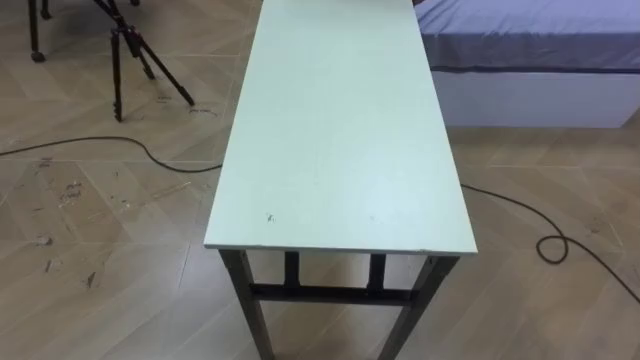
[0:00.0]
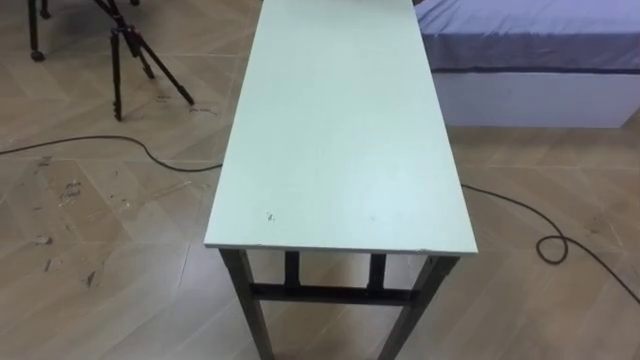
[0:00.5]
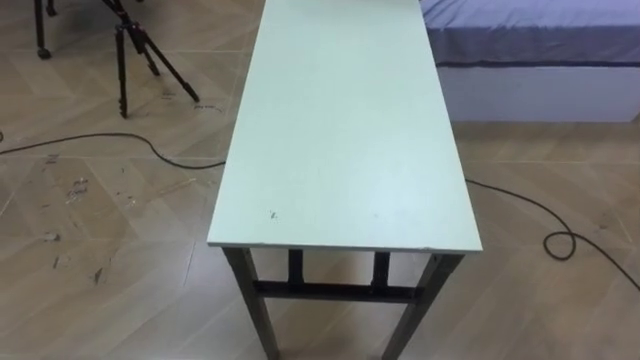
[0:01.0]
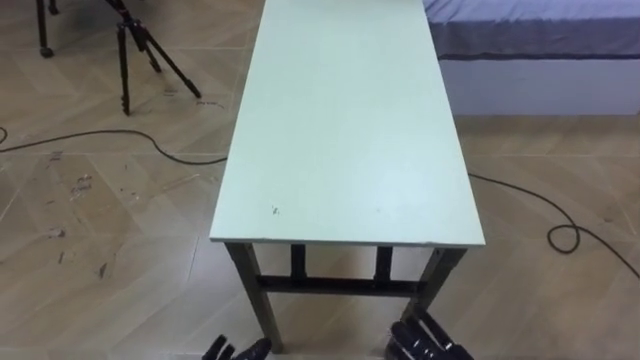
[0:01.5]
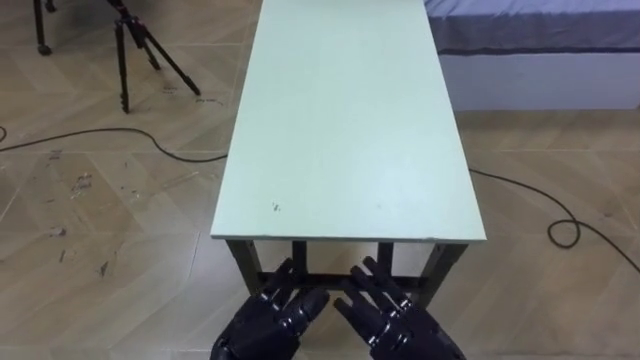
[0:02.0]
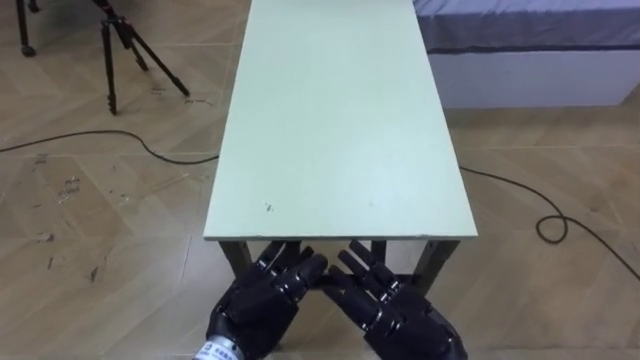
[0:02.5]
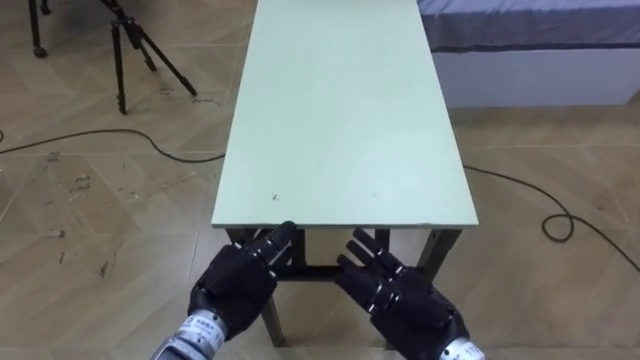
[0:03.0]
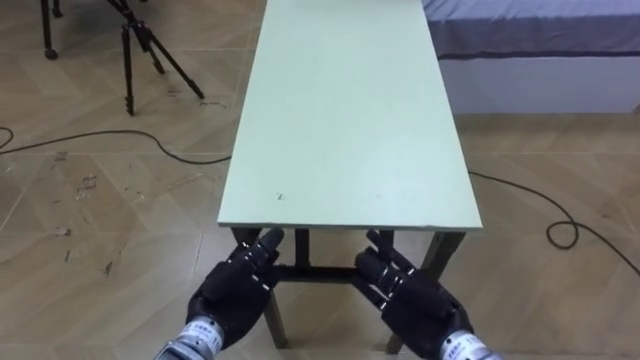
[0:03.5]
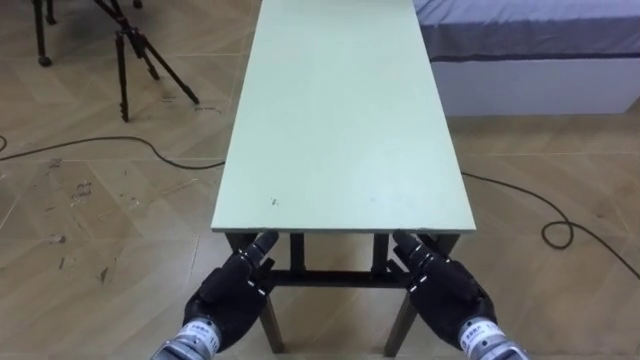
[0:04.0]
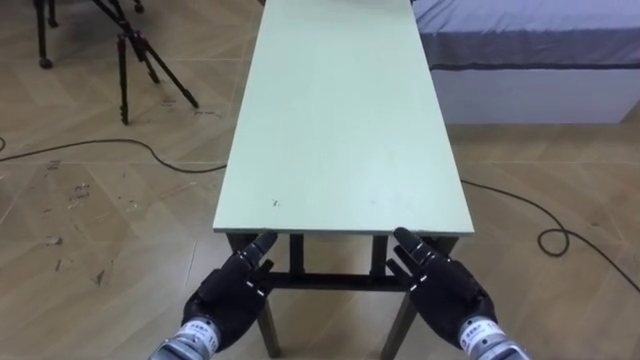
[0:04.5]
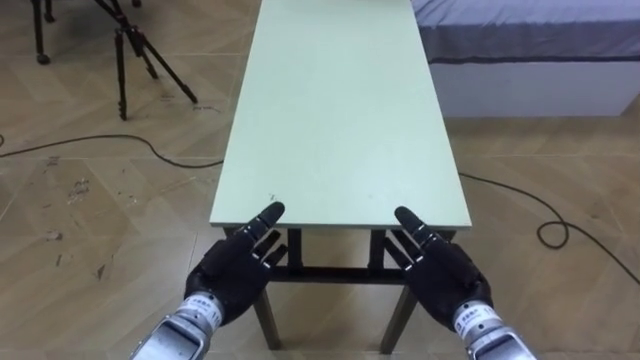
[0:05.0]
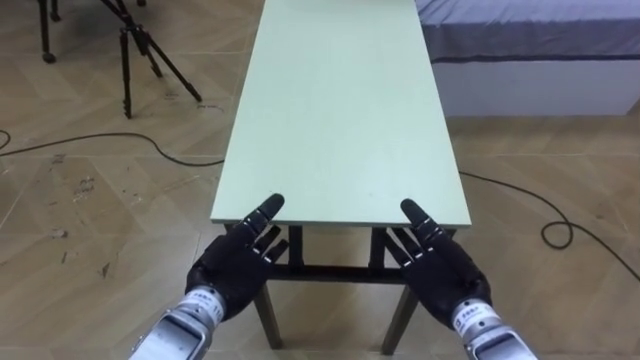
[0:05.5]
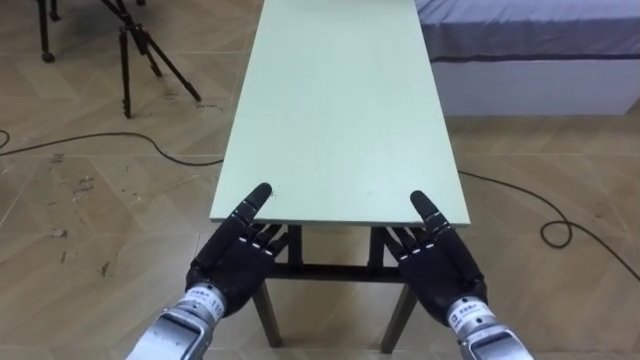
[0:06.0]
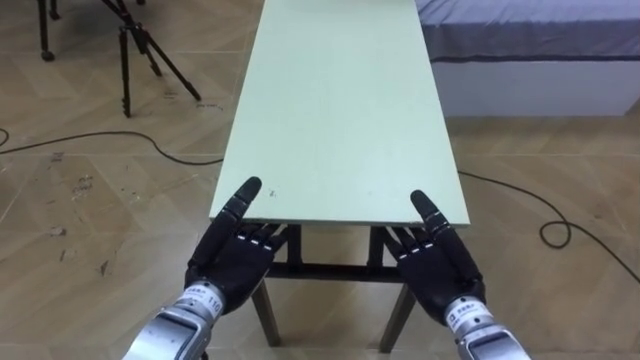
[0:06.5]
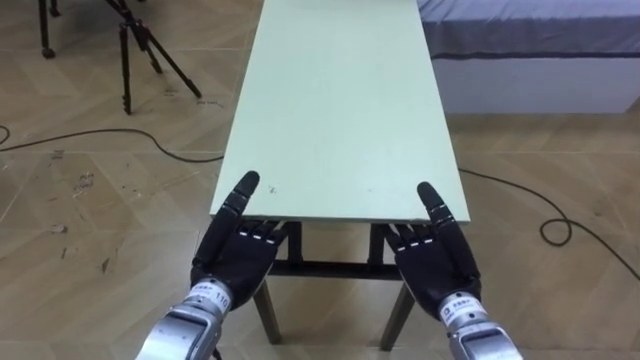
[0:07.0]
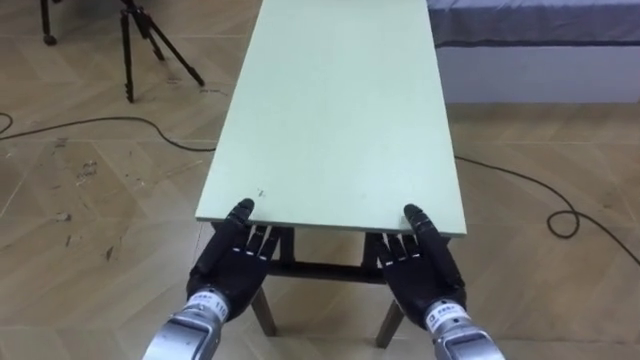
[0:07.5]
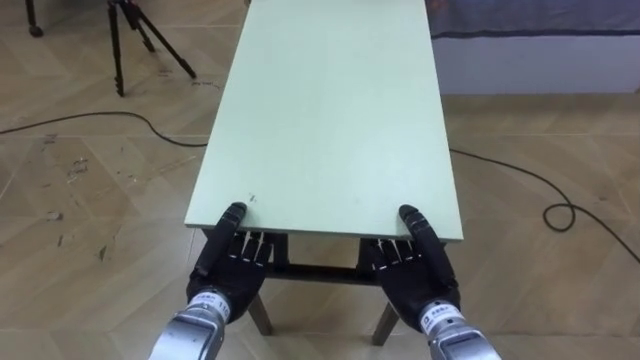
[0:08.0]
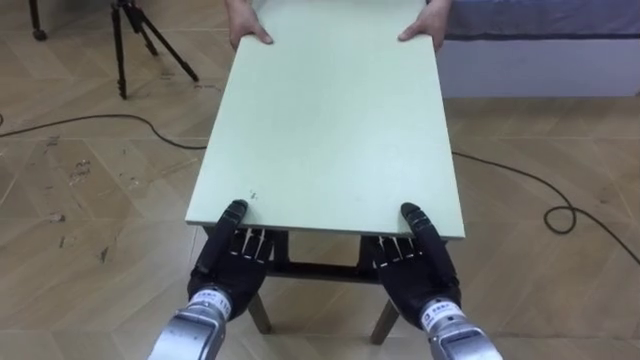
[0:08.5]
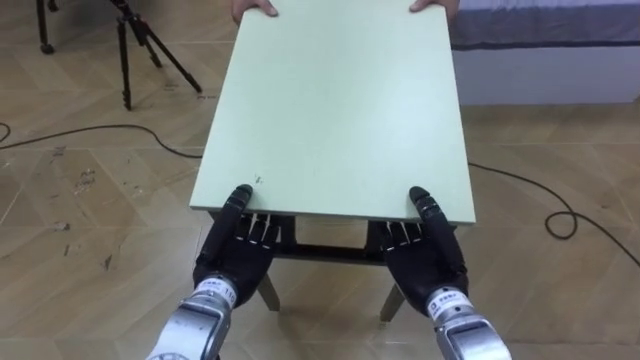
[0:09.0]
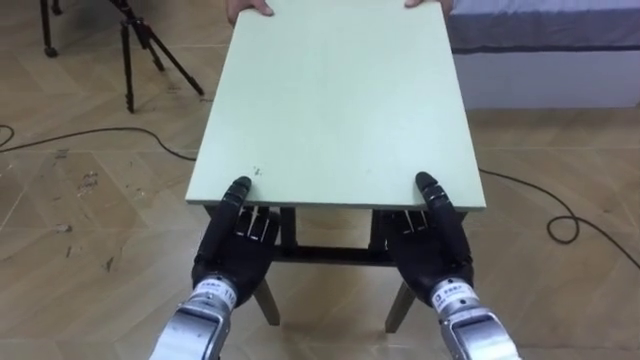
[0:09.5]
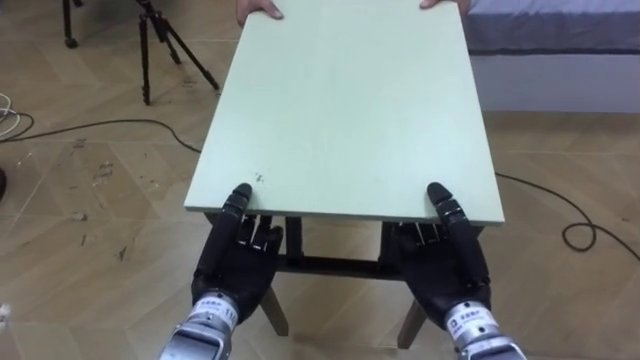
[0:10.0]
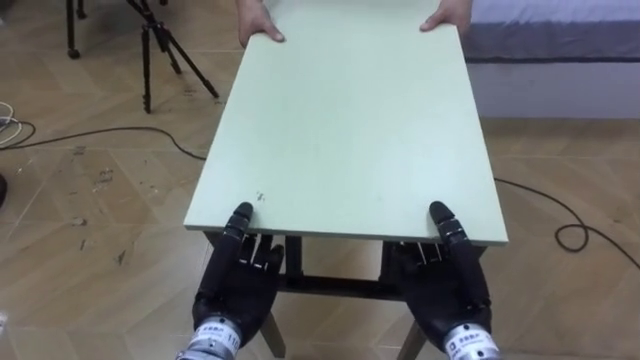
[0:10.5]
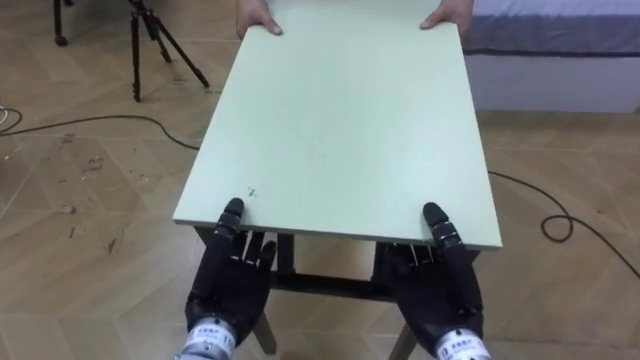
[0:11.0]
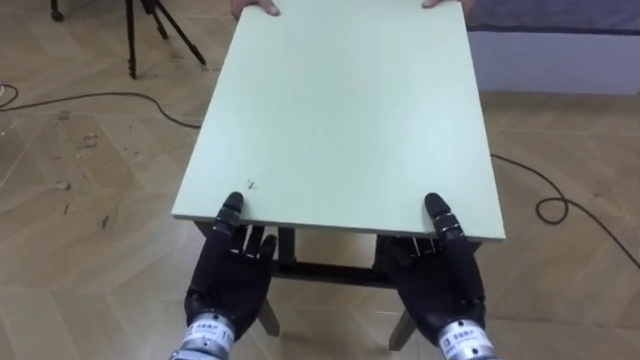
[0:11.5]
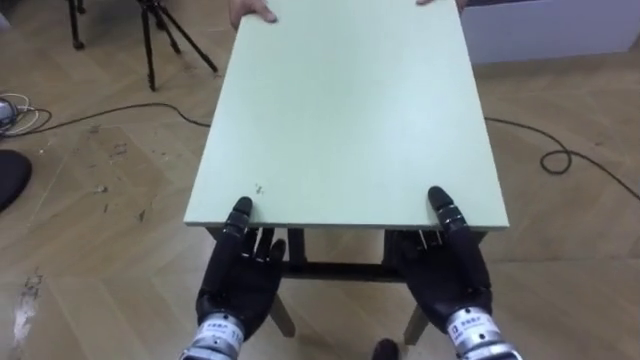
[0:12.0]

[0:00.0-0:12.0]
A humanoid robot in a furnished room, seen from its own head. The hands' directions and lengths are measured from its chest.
Task of the whole recording: Move the table to the back left with someone.
0:02.0 to 0:04.0: The right hand is displaced forward and to the right by approximately 10 cm. Meanwhile the left hand is displaced forward by about 5 cm.
0:04.0 to 0:06.0: The left hand moves upward, some 5 cm.
0:06.0 to 0:08.0: The right hand closes its fingers, while the left hand closes.
0:08.0 to 0:10.0: The right hand moves upward, roughly 5 cm.

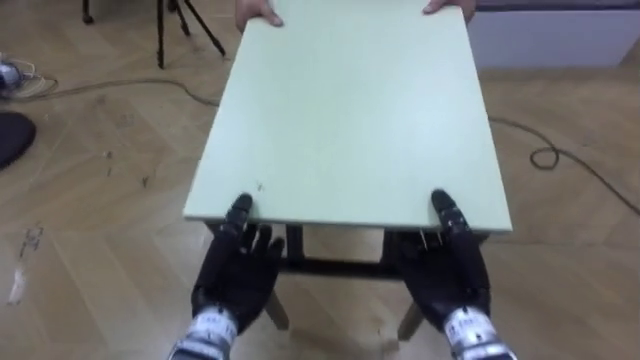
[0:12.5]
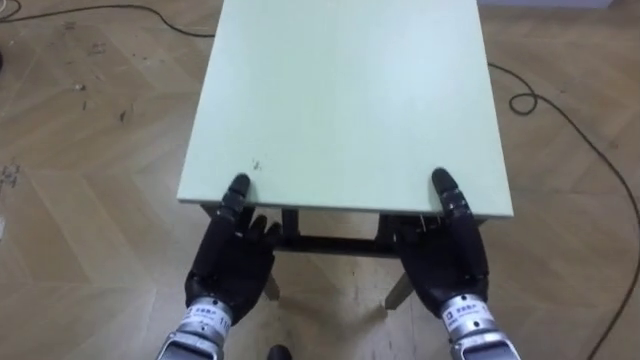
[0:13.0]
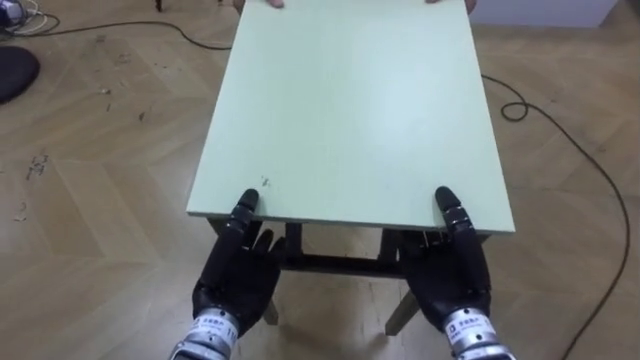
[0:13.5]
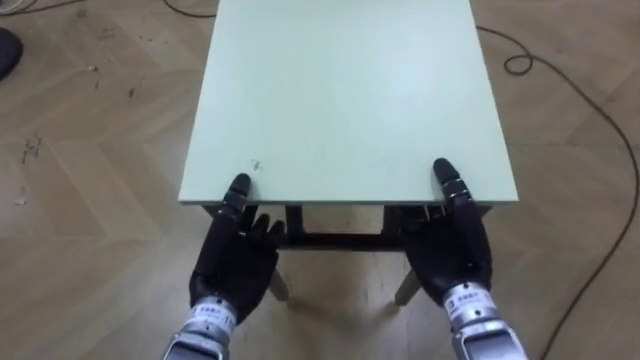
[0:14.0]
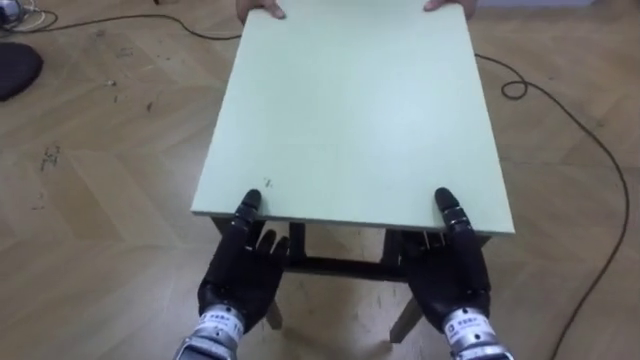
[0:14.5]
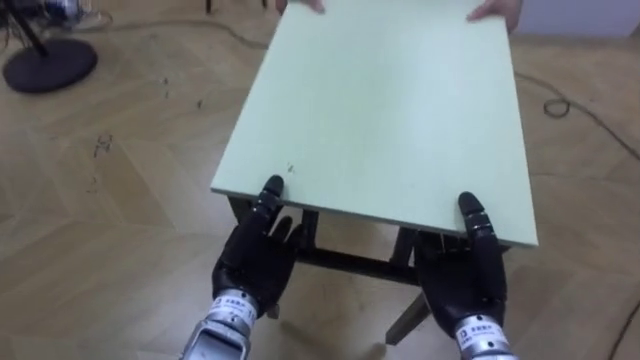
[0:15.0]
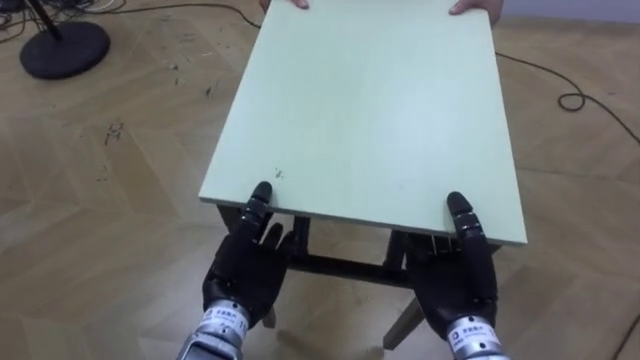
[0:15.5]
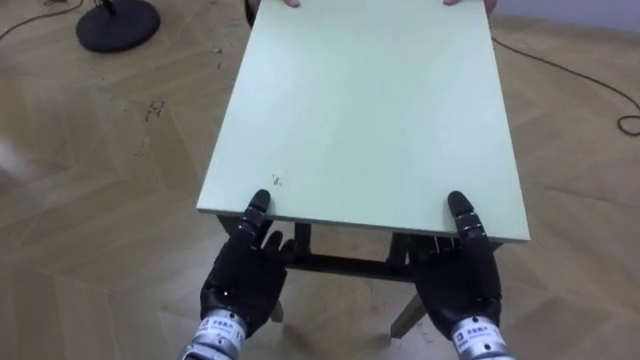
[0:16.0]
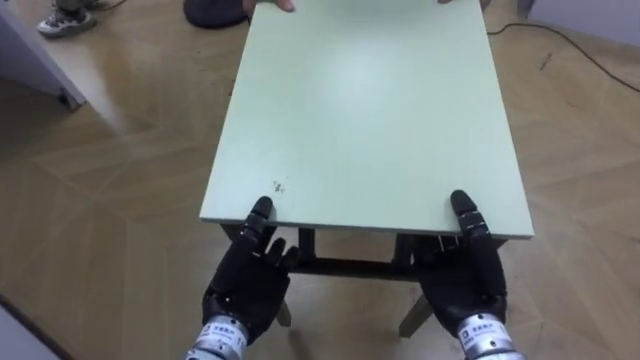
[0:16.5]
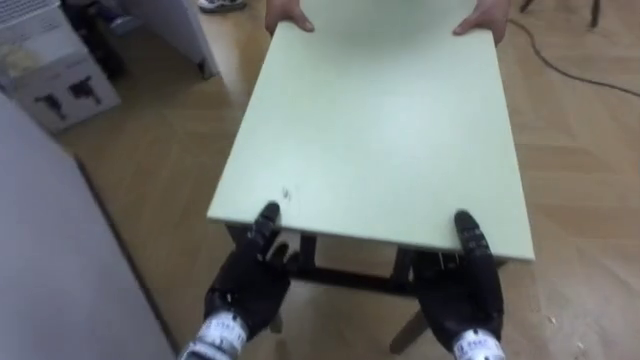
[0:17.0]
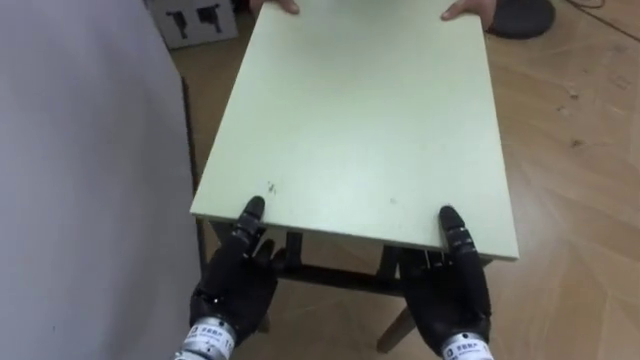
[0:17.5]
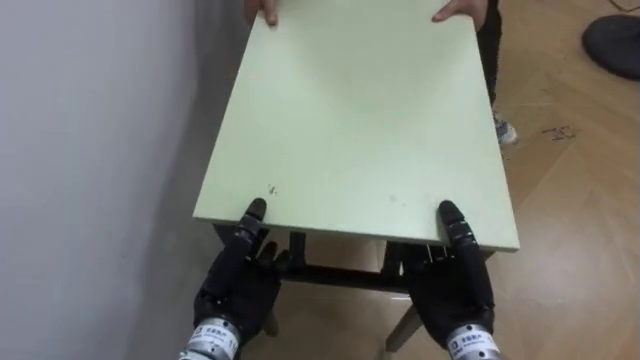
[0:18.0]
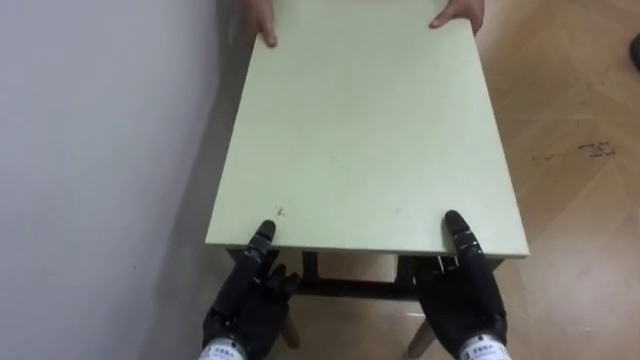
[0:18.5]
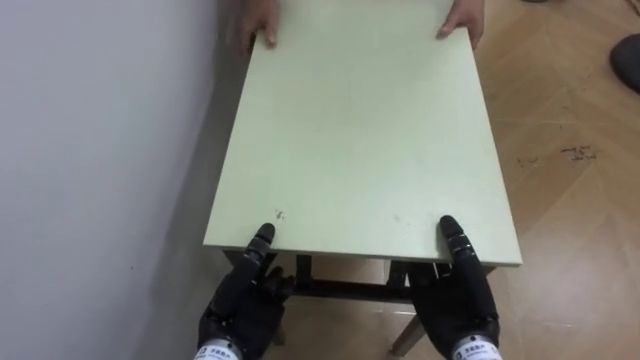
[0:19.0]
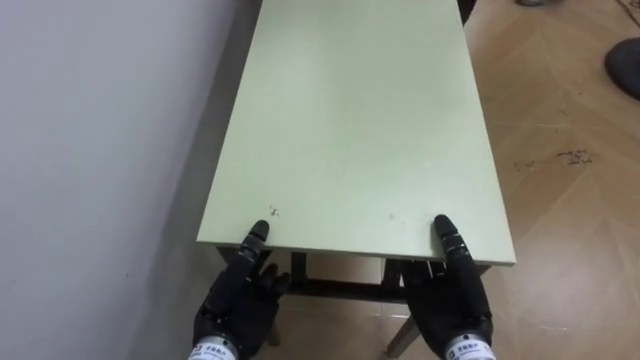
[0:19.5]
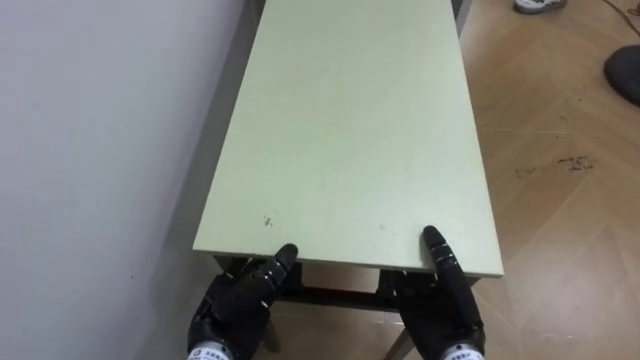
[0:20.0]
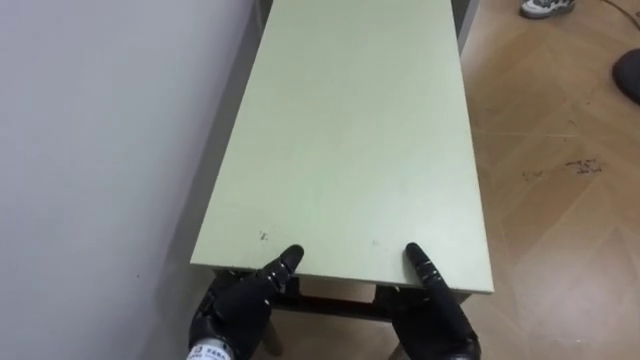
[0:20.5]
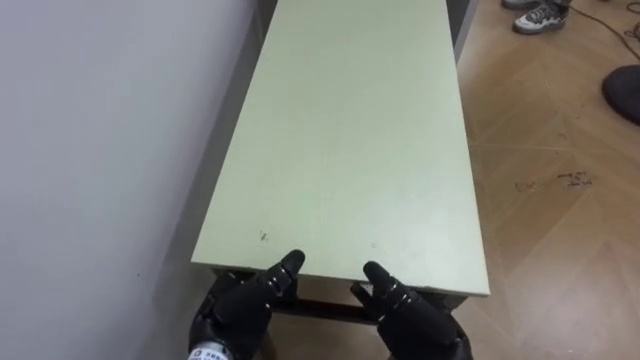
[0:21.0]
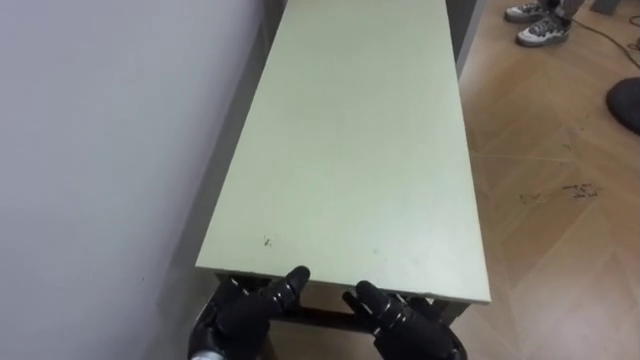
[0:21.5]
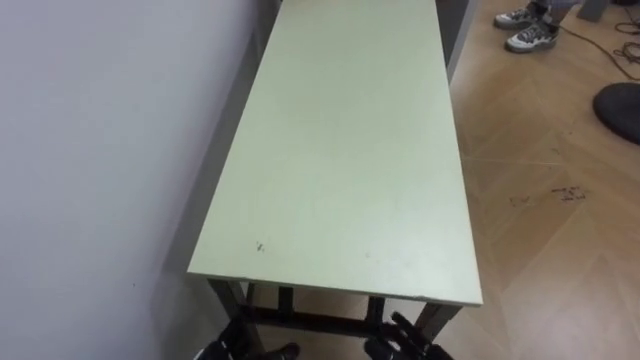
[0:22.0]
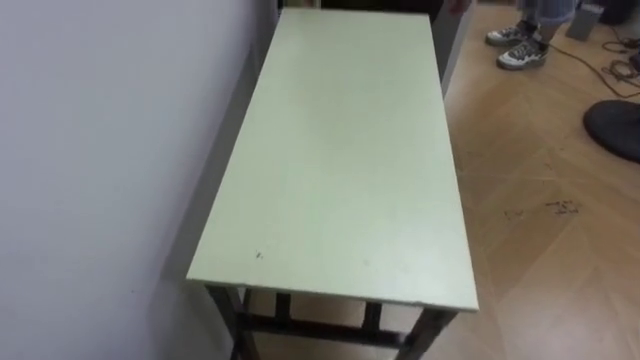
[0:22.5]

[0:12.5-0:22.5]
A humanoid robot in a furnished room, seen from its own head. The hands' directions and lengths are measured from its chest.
Task of the whole recording: Move the table to the back left with someone.
0:16.5 to 0:18.5: The robot's body swings roughly 70 degrees to its left.
0:18.5 to 0:20.5: The left hand opens.
